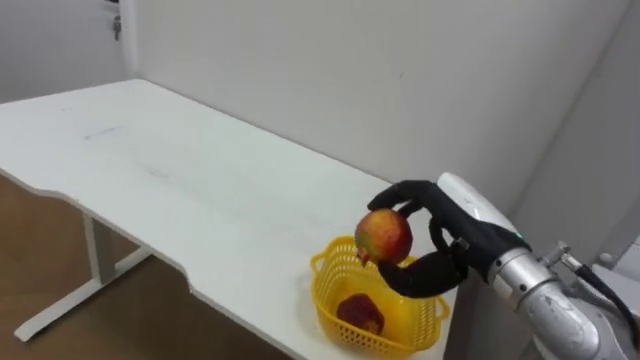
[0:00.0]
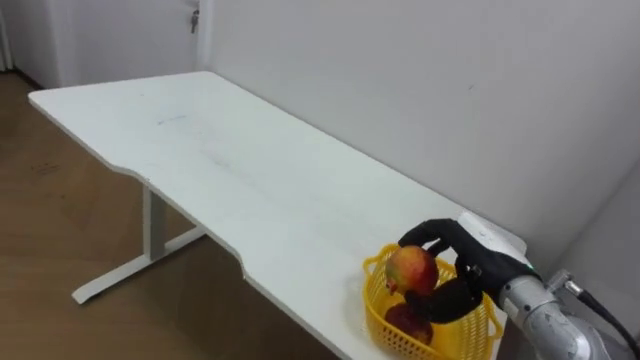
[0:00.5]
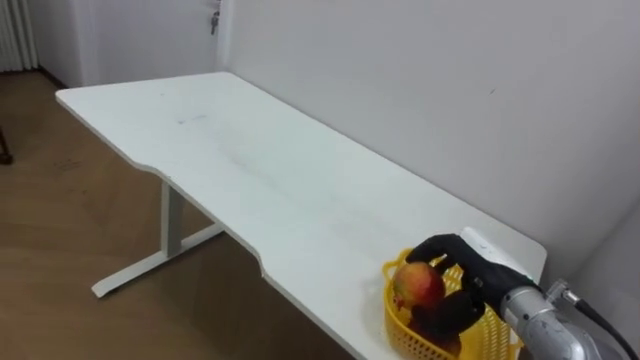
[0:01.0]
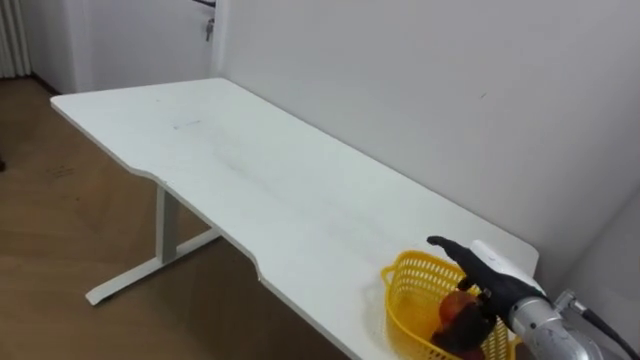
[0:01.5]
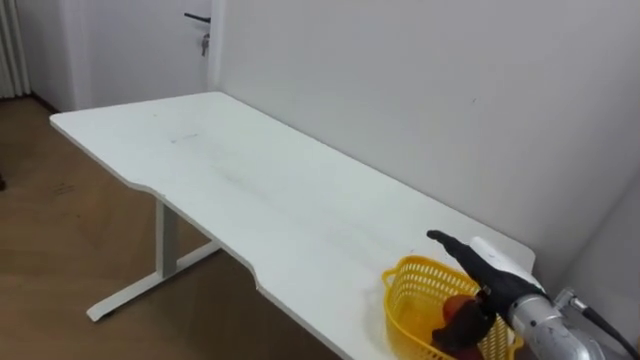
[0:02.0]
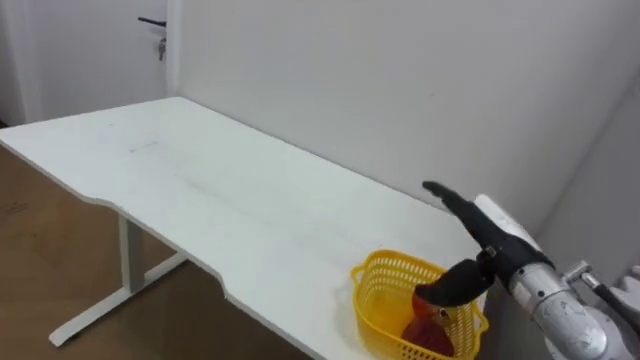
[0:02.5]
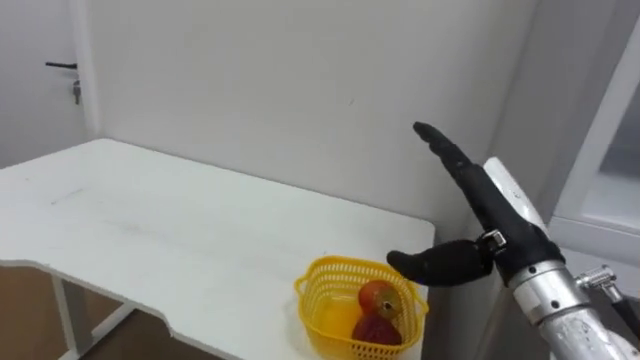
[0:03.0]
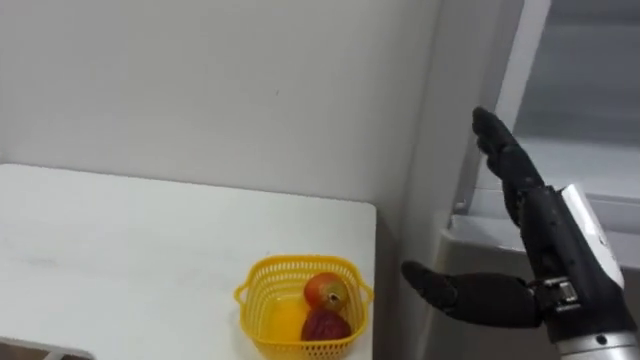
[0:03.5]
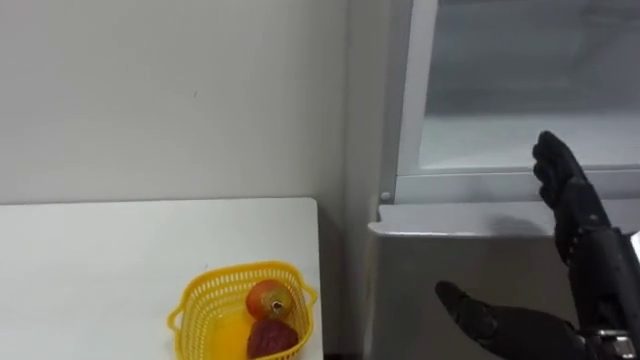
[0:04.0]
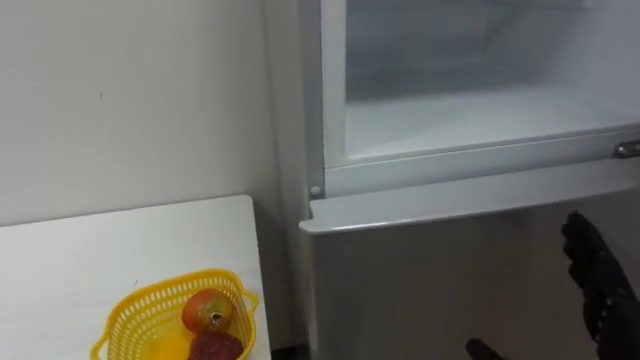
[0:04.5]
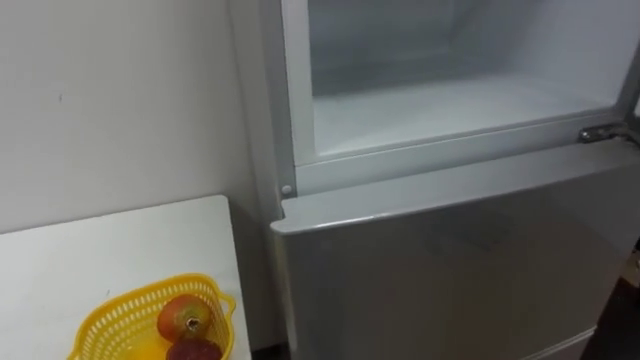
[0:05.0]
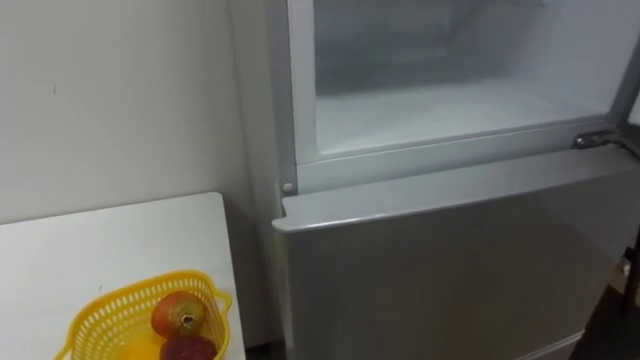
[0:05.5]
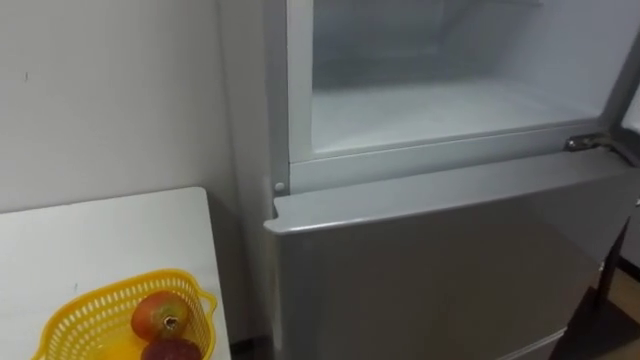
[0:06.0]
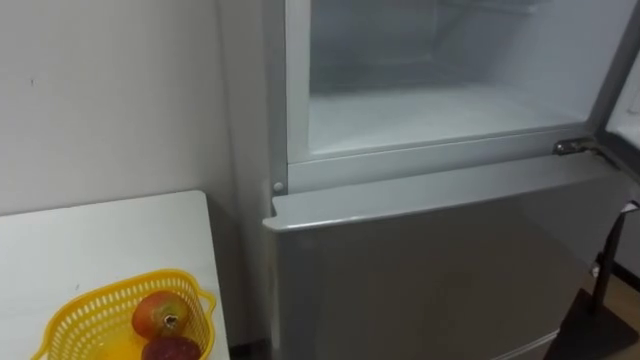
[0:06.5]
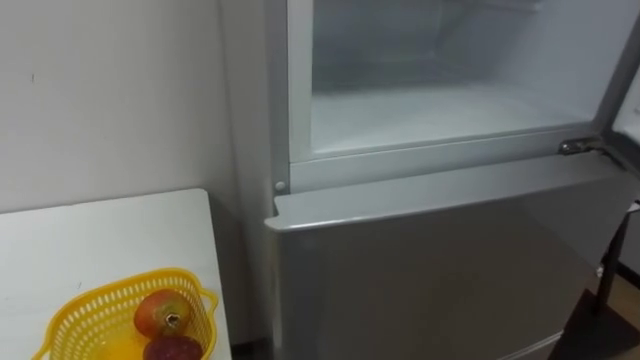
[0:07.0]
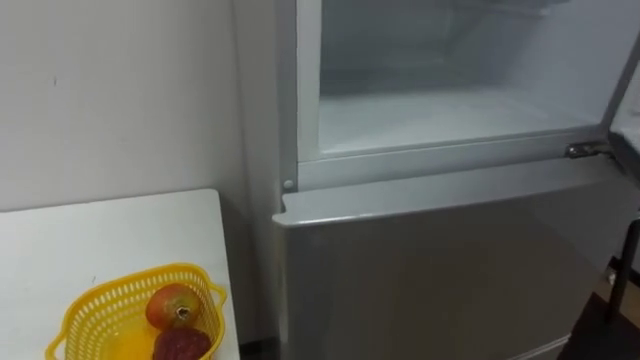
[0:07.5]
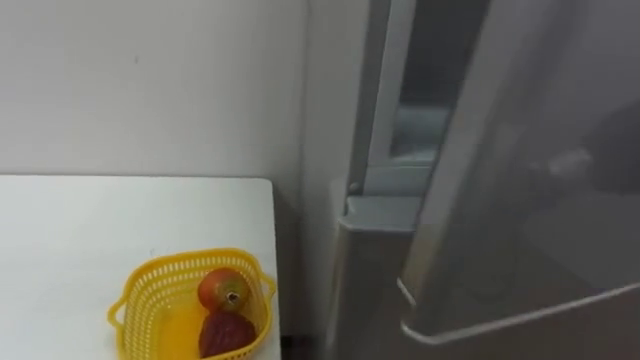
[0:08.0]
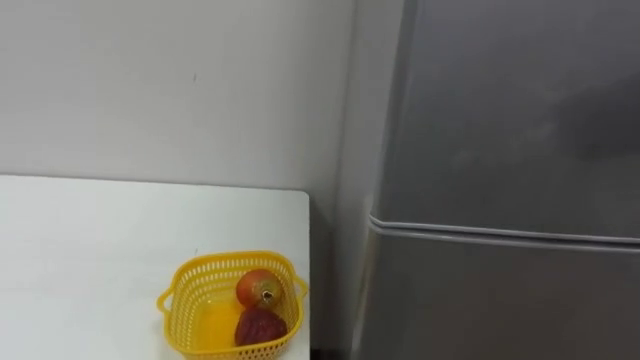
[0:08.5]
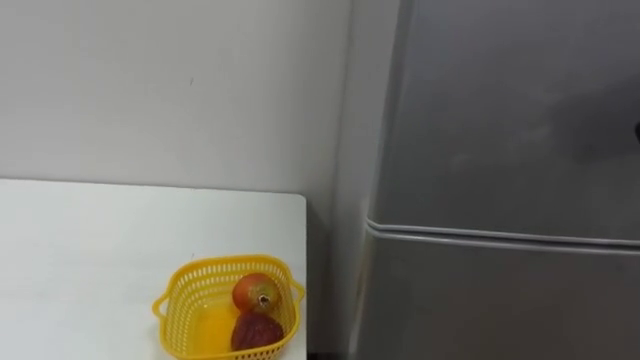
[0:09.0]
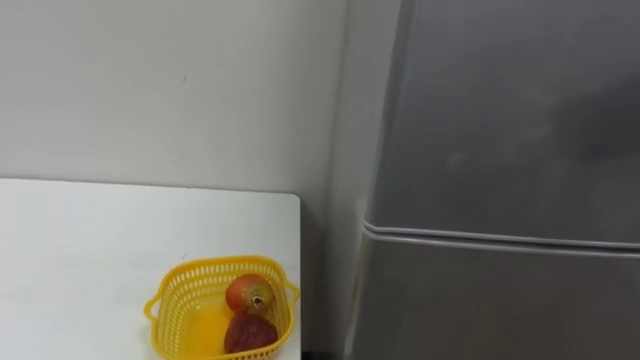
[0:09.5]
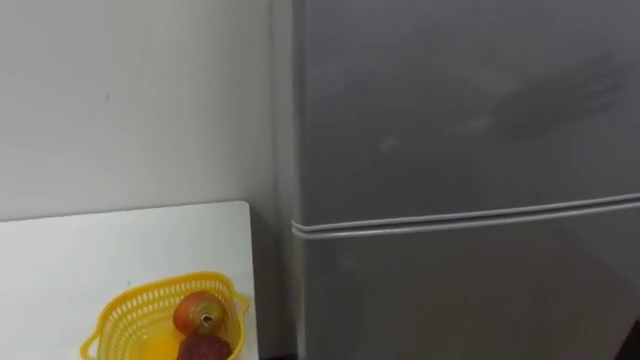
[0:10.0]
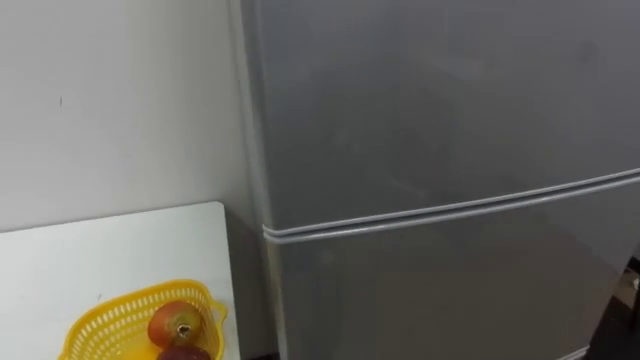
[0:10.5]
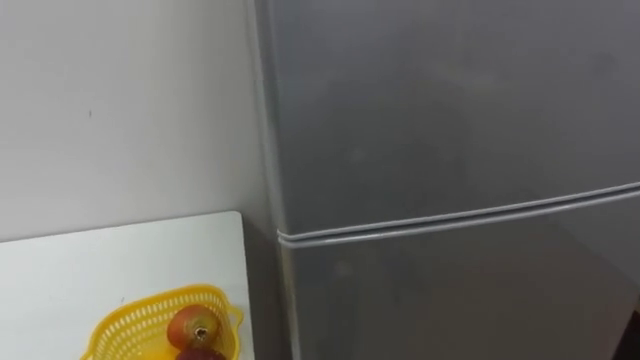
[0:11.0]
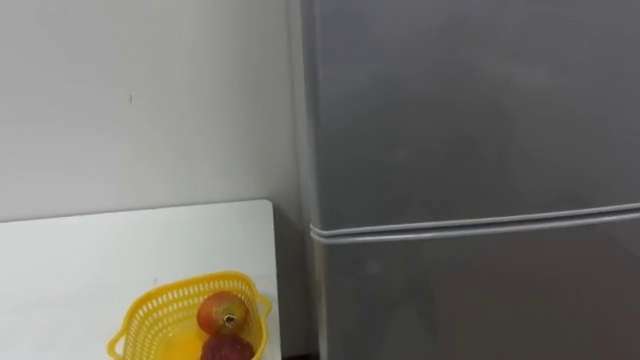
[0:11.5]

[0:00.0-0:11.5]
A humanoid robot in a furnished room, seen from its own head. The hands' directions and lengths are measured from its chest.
Task of the whole recording: Open the refrigerator door, take out the apple and the pomegranate, place them in the fruit basket on the left, and close the refrigerator door.
0:00.0 to 0:02.0: The right hand heads downward and to the right, covering about 10 cm, and opens up.
0:02.0 to 0:04.0: The right hand moves backward and upward, approximately 20 cm.

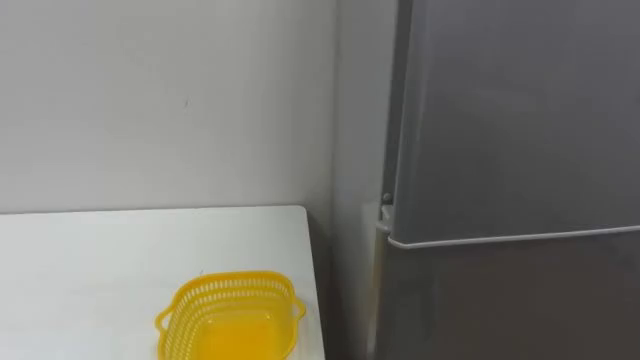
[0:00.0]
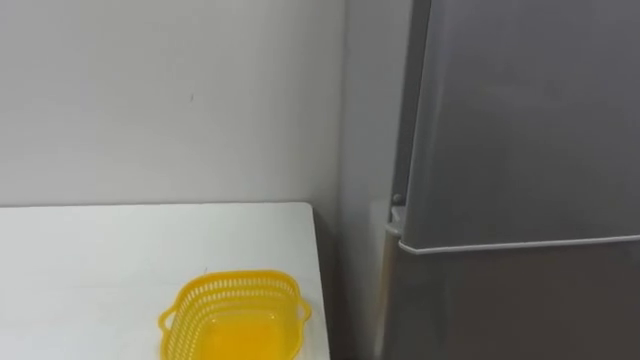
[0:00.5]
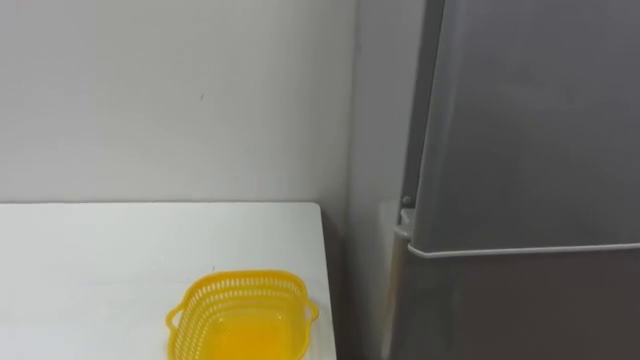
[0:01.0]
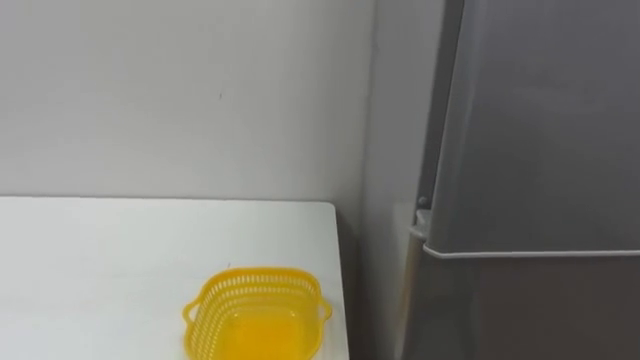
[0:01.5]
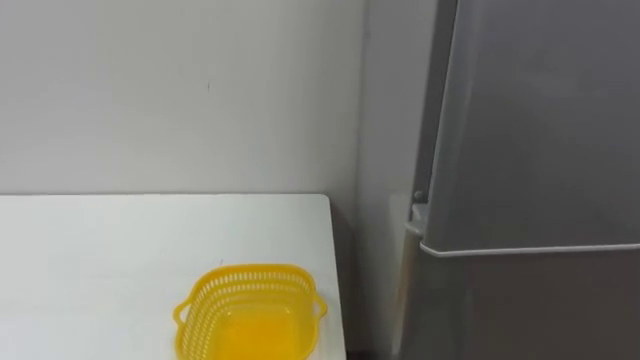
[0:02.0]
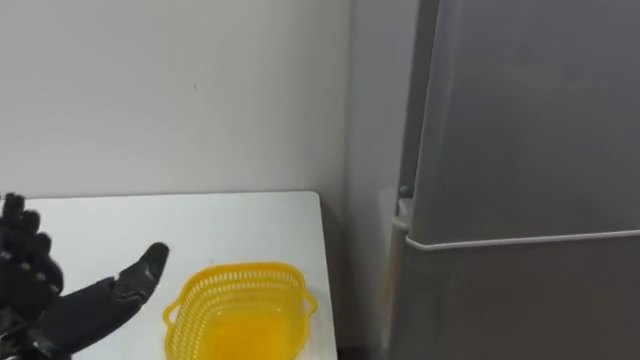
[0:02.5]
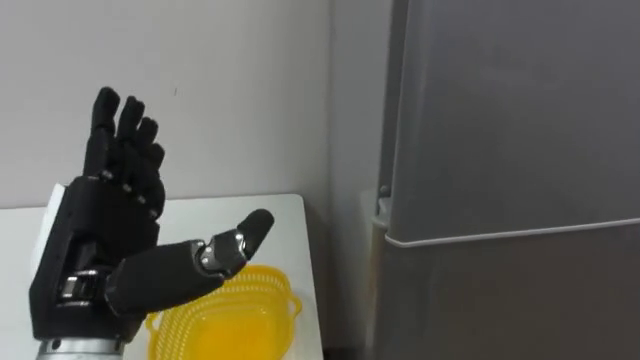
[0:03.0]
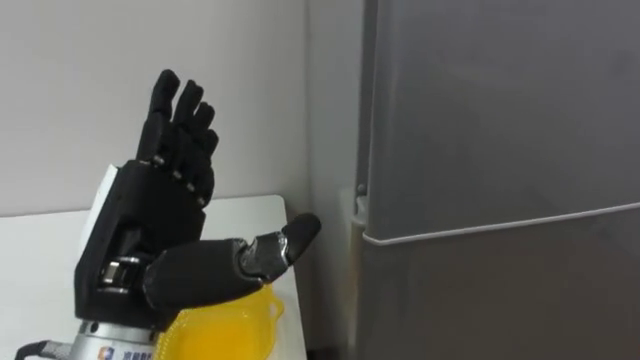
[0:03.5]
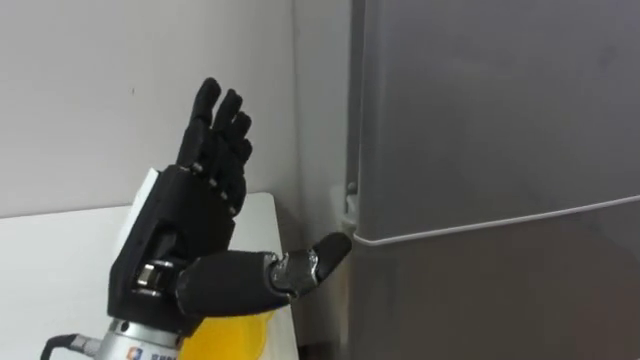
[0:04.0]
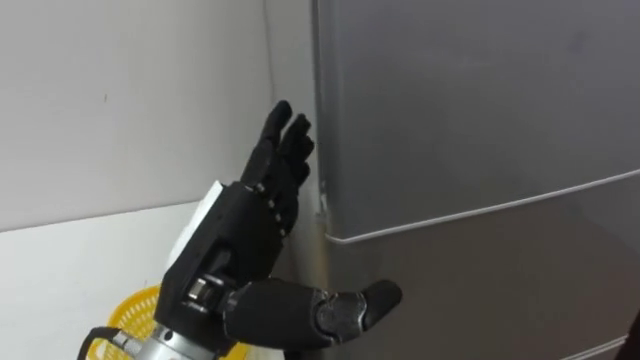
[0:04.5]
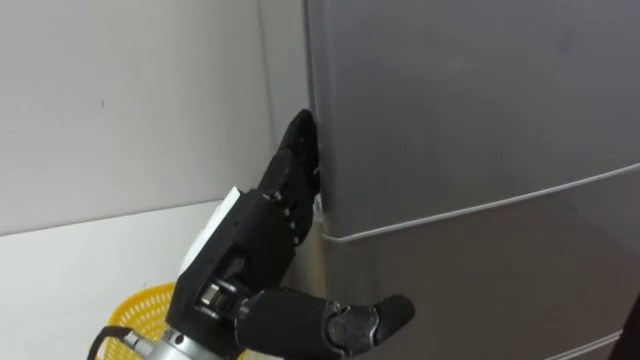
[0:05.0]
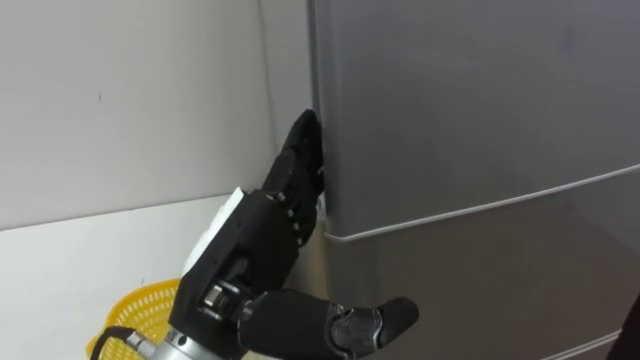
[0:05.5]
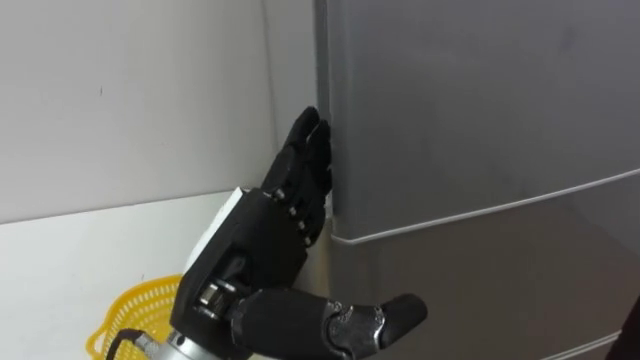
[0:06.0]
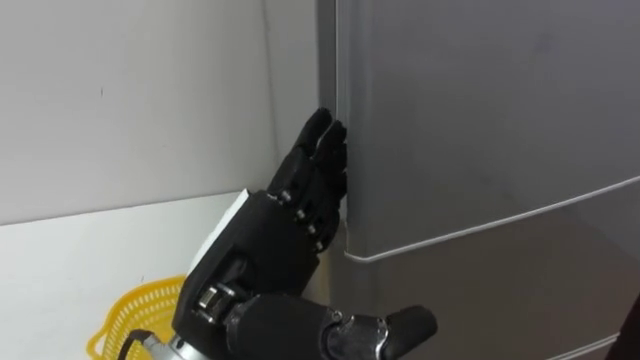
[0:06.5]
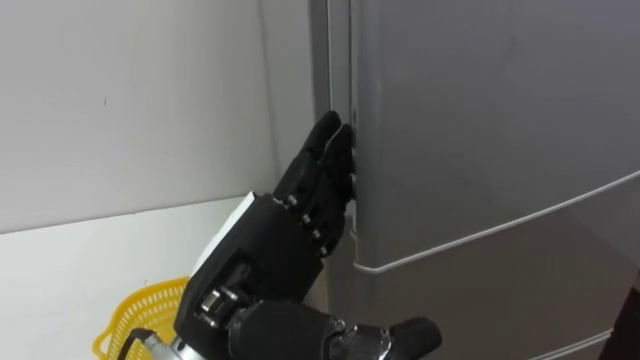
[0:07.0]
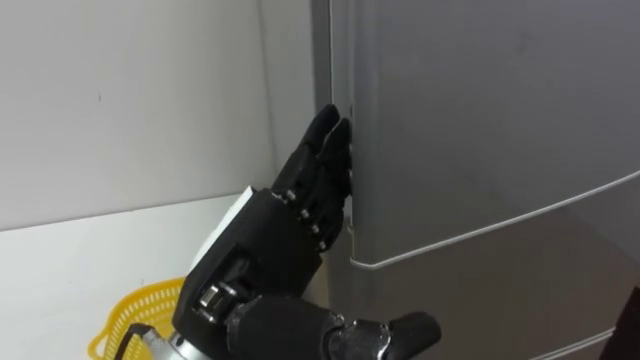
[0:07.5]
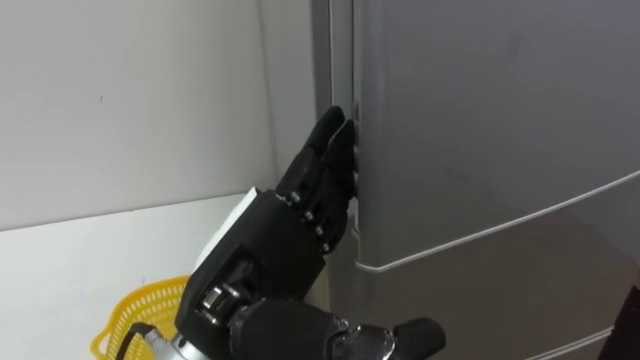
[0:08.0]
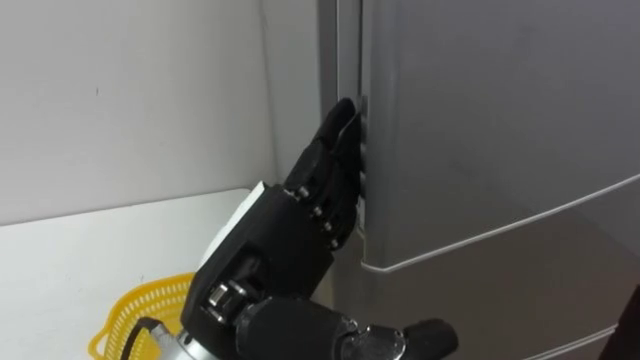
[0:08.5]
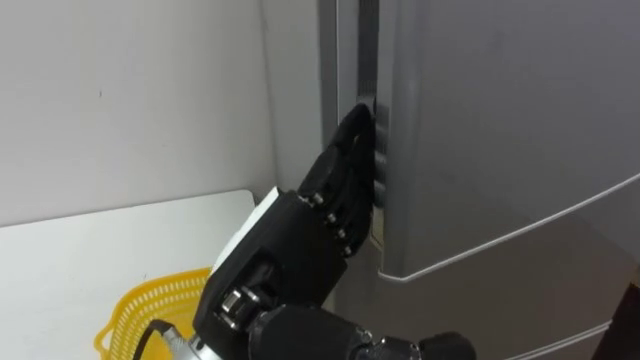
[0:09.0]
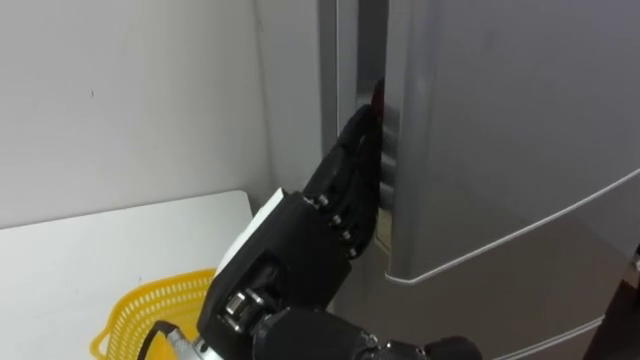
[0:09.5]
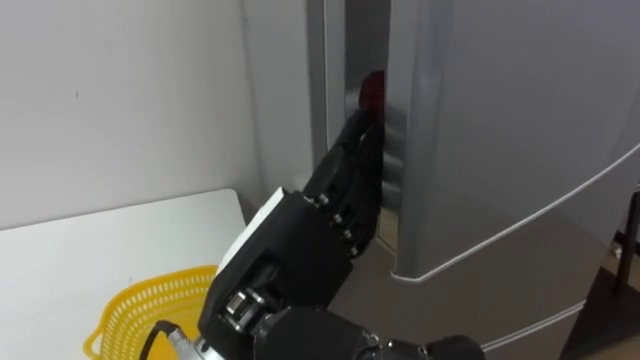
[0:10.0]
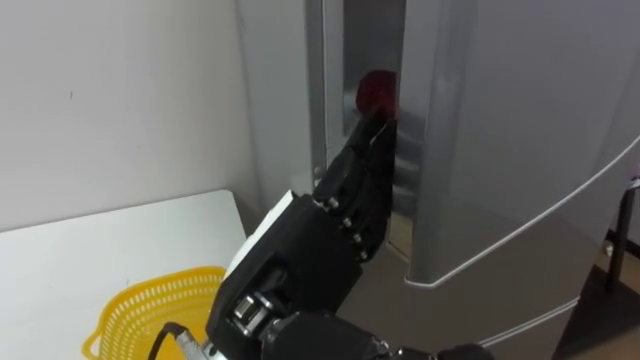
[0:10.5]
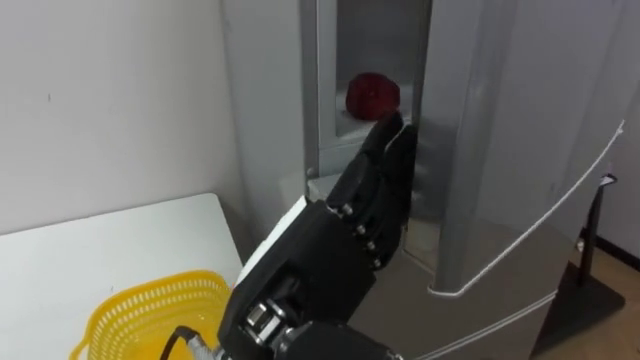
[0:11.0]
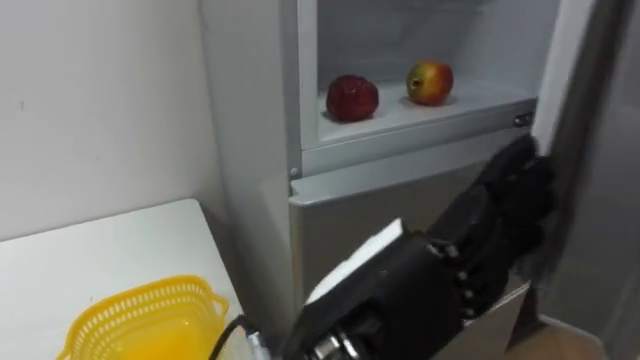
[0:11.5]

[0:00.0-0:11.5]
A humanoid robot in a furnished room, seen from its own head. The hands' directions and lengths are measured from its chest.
Task of the whole recording: Open the refrigerator door, take out the apple and the pomegranate, place them in the fruit basket on the left, and close the refrigerator door.
0:04.0 to 0:06.0: The left hand heads to the right, covering some 5 cm.
0:09.5 to 0:11.5: The left hand is displaced to the right by approximately 5 cm.
